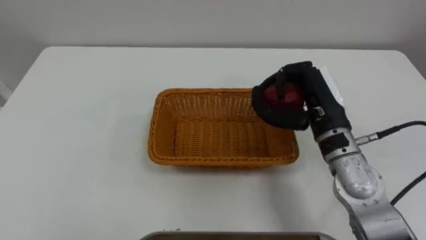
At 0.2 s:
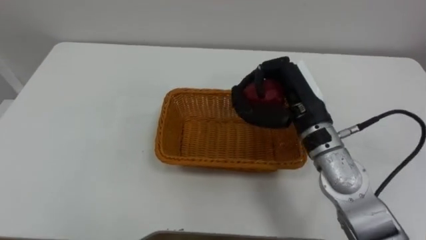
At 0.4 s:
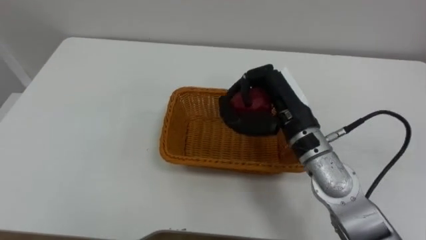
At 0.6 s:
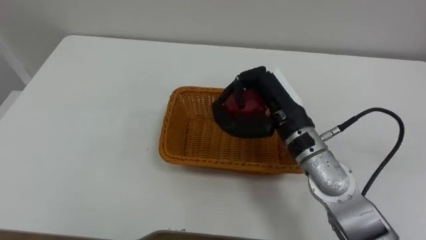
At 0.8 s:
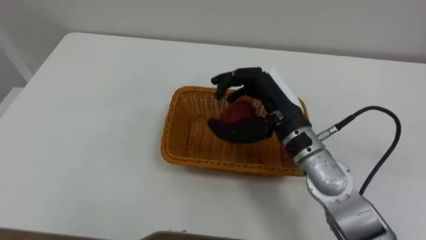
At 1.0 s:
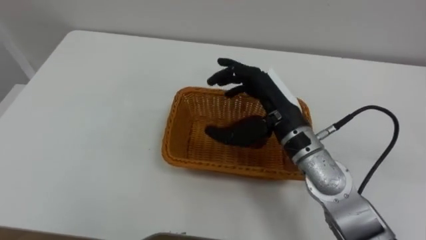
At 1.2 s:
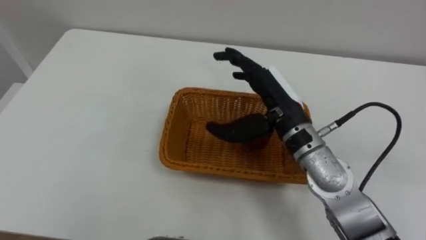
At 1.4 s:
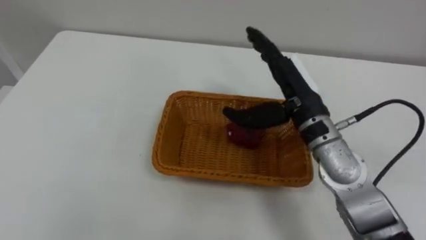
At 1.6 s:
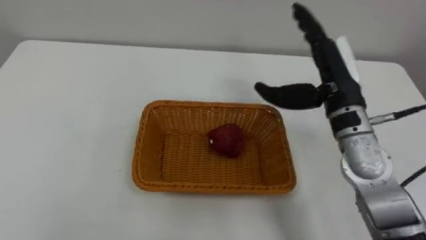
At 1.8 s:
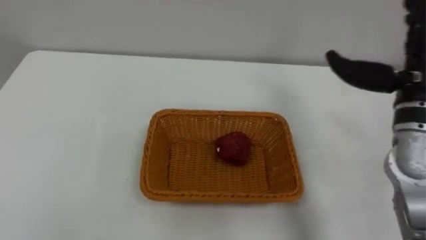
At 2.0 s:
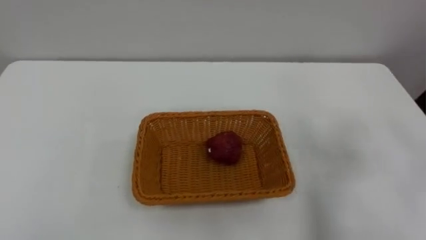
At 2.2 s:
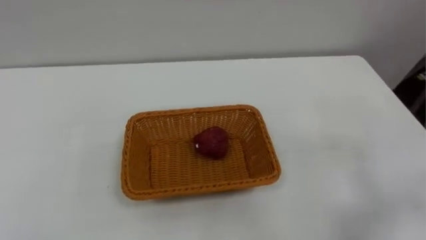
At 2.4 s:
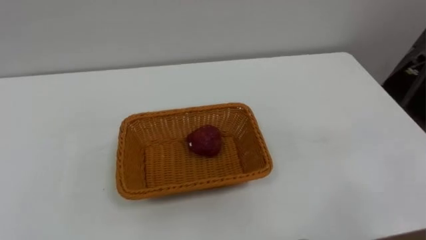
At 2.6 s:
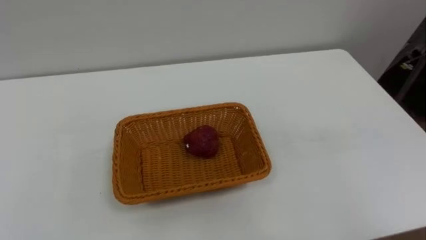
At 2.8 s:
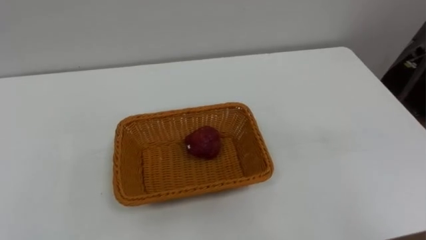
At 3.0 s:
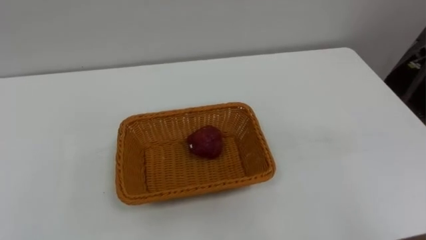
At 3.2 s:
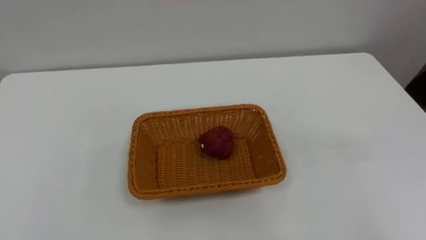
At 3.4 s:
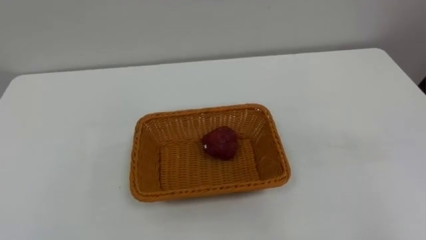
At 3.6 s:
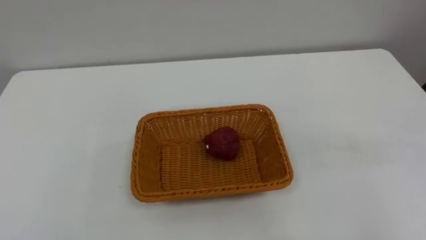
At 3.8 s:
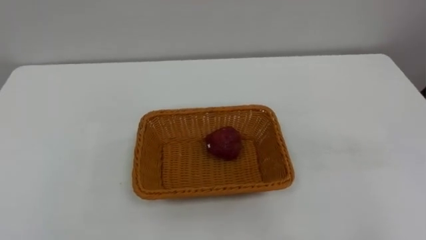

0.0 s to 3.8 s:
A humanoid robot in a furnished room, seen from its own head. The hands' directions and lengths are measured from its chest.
Task of the whole recording: Pick the apple and place it in the box.
0.0 to 1.2 s: The right hand shifts about 5 cm to the left, and opens up.
